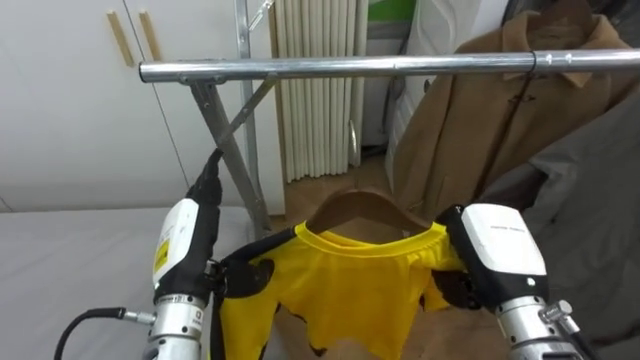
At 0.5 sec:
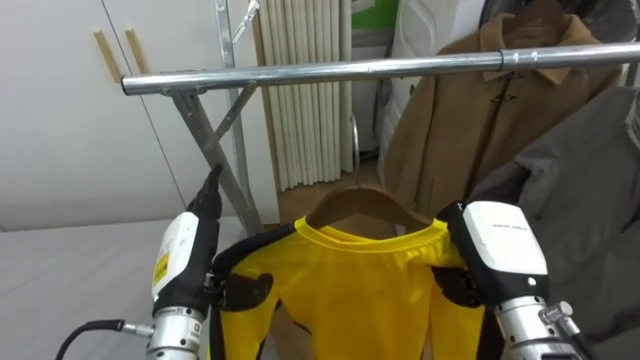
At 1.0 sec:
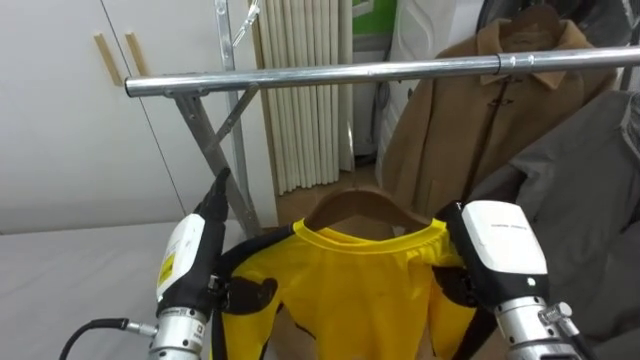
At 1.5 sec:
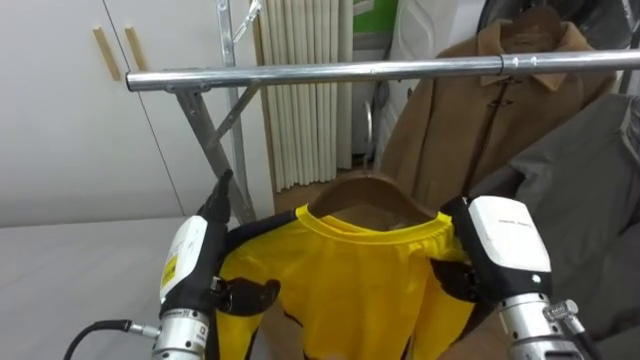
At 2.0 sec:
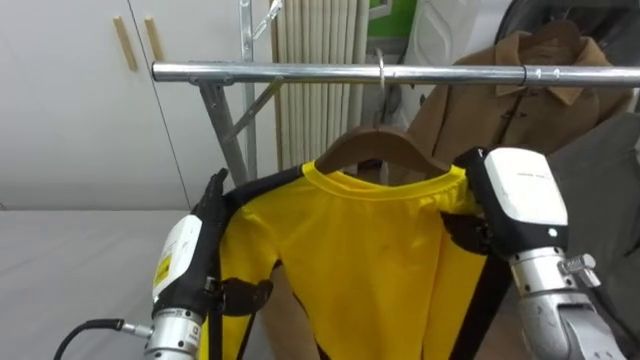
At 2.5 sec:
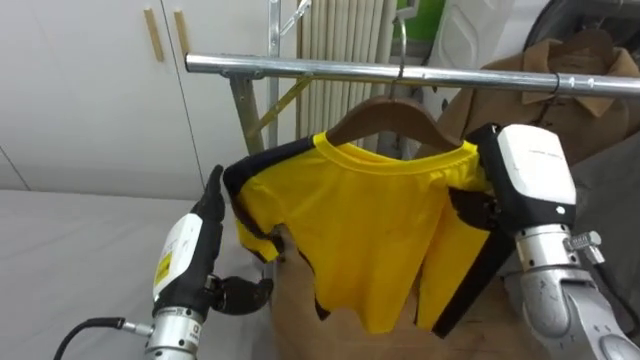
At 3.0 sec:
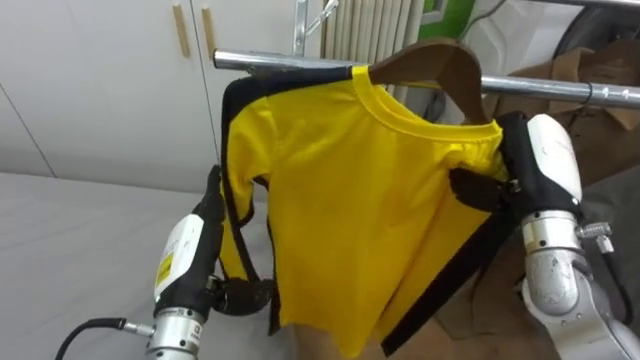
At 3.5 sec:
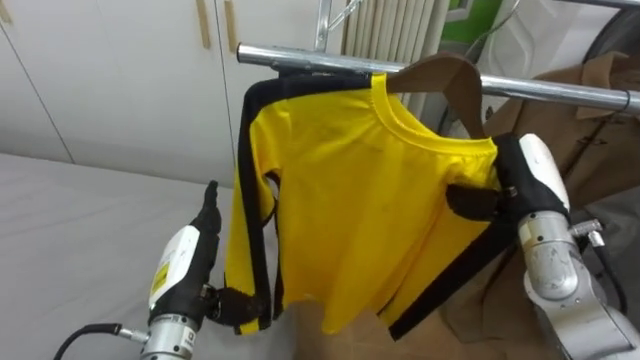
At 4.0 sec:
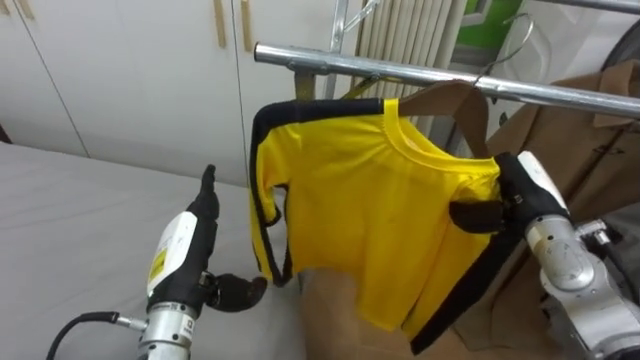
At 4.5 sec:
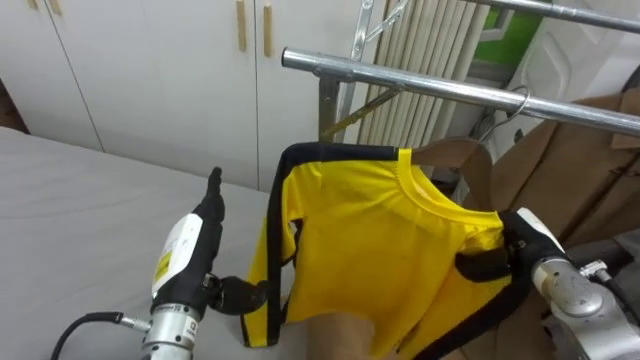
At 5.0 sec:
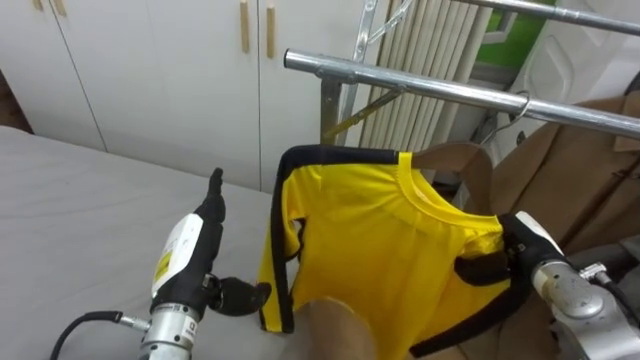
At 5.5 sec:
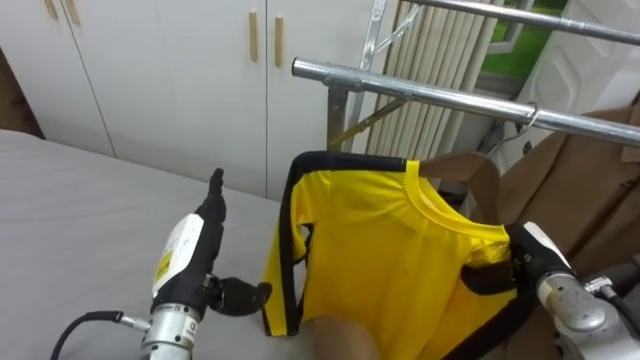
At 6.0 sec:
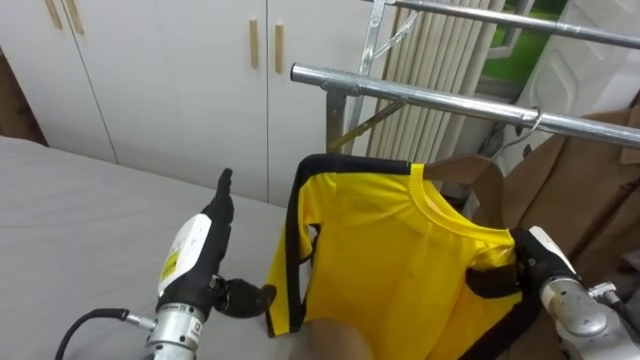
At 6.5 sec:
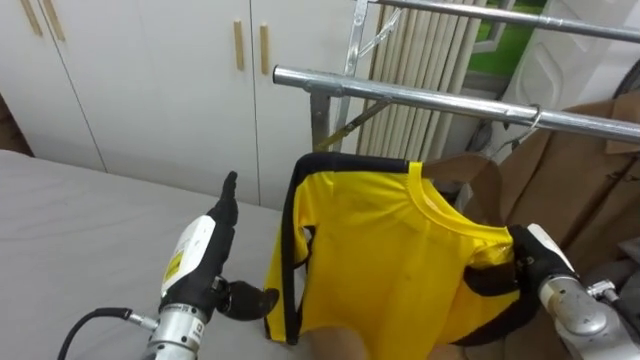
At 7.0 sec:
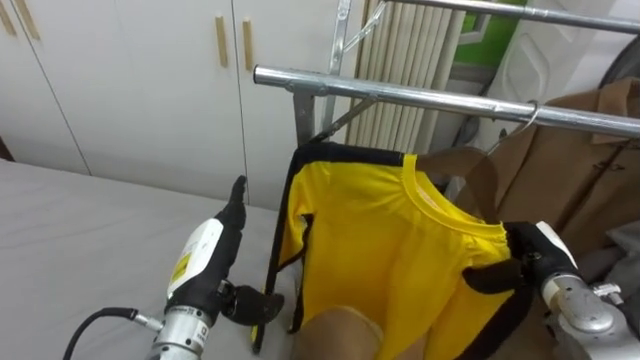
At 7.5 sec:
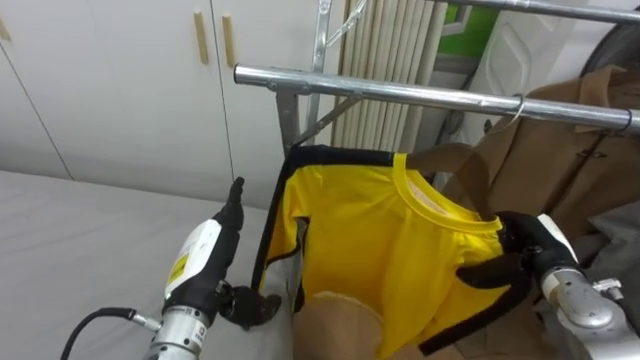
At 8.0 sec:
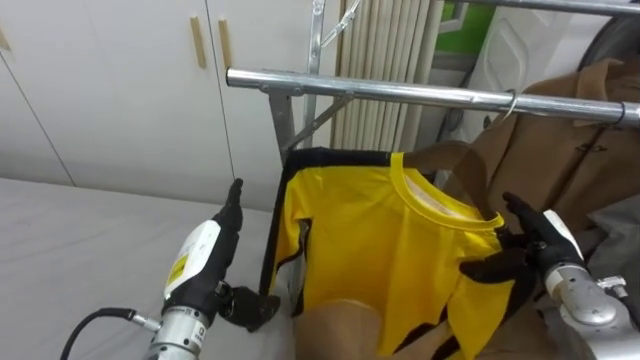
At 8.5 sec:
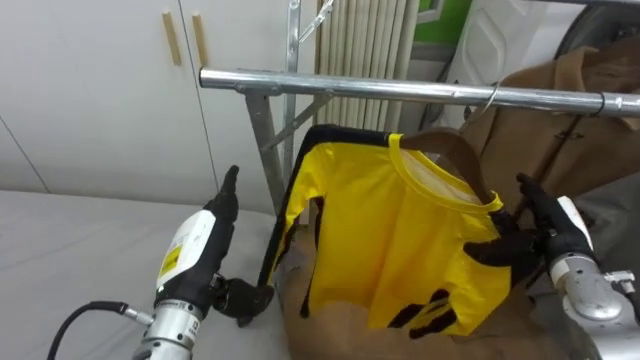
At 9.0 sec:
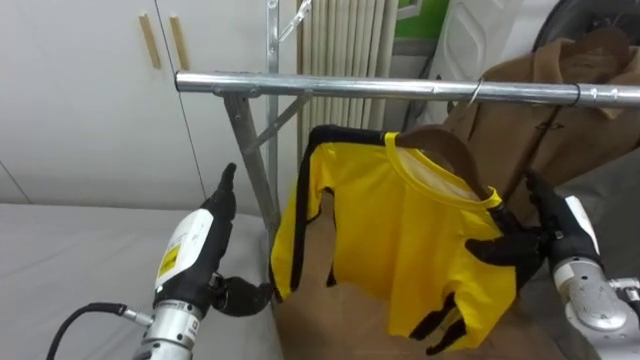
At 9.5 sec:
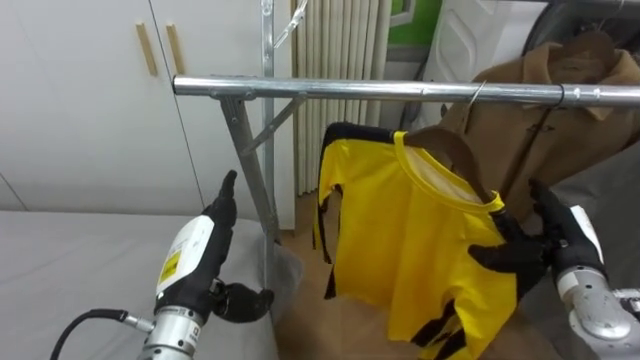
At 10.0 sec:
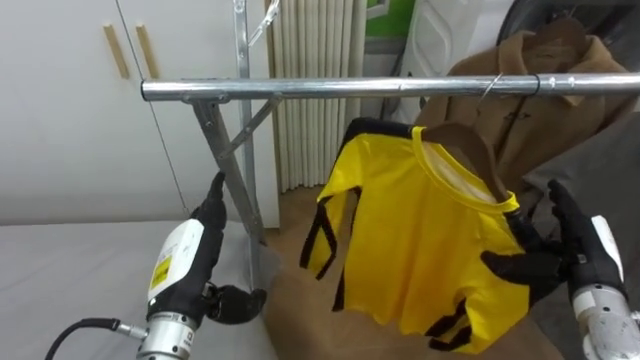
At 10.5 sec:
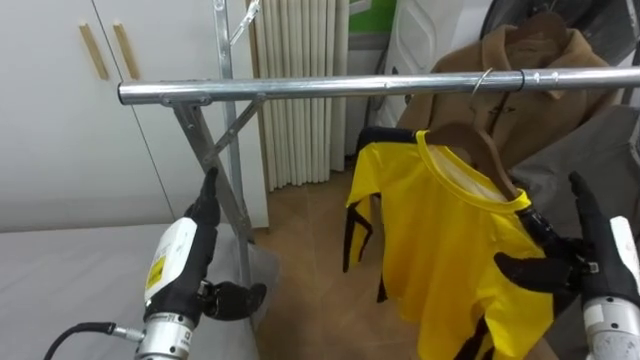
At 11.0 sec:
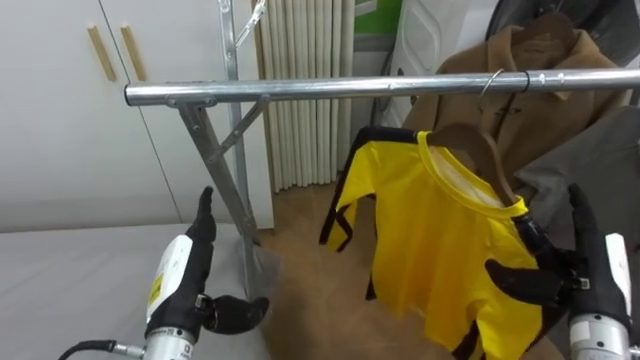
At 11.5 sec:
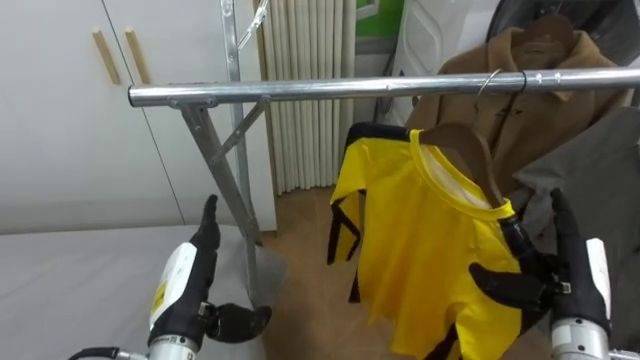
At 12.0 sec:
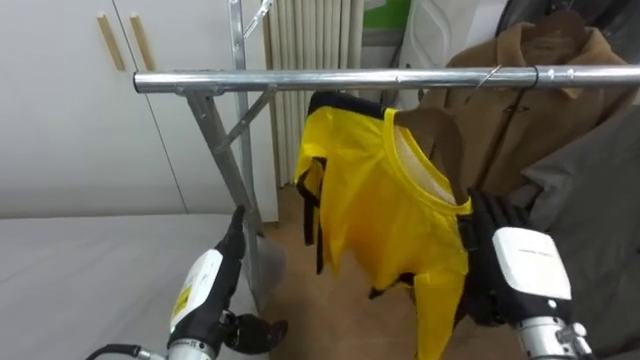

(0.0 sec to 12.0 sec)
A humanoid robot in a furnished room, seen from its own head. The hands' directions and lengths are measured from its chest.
Task of the whole recording: Pick up the yellow shirt on the bed and hang it on the clothes rack on the right.
0.0 sec - 2.0 sec: The right hand travels upward by roughly 5 cm.
2.0 sec - 4.0 sec: The right hand goes roughly 10 cm forward and downward.
4.0 sec - 6.0 sec: The right hand moves downward, approximately 10 cm.
6.0 sec - 8.0 sec: The right hand opens up.
8.0 sec - 10.0 sec: The right hand changes place by approximately 5 cm.
10.0 sec - 12.0 sec: The right hand is displaced to the left by some 10 cm.

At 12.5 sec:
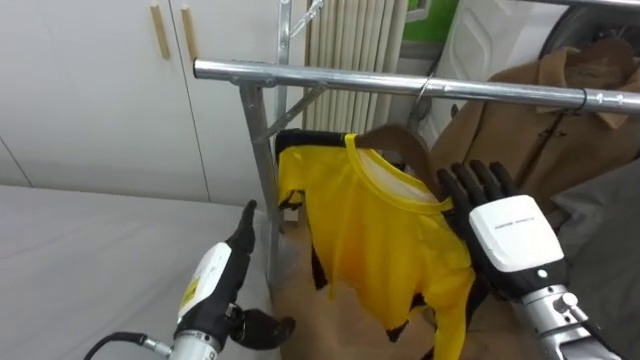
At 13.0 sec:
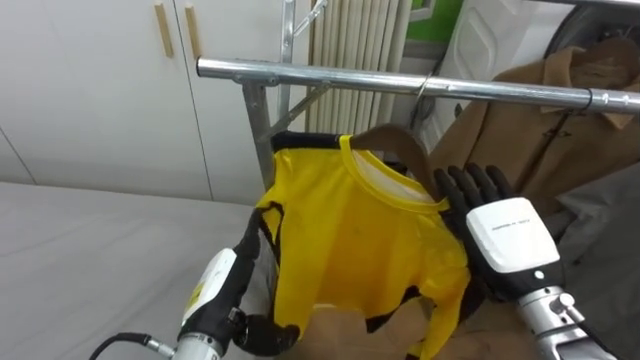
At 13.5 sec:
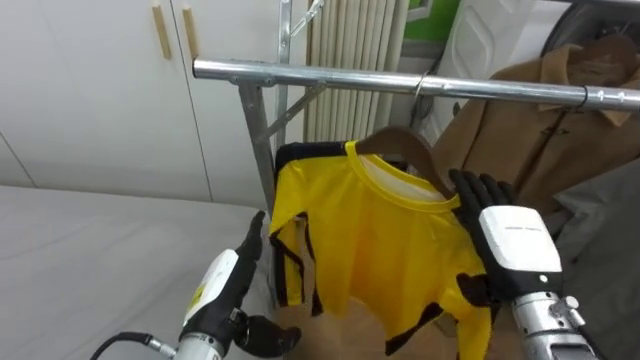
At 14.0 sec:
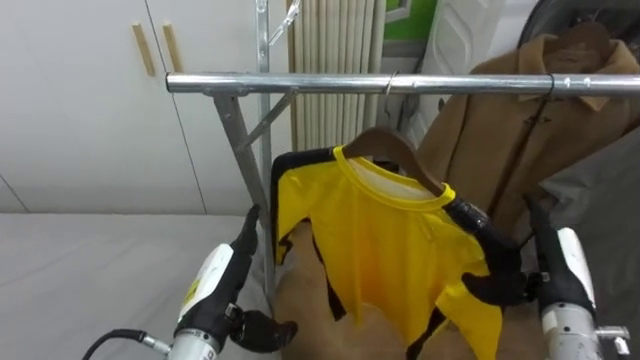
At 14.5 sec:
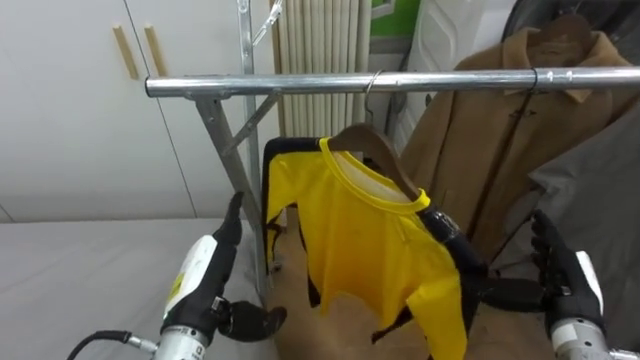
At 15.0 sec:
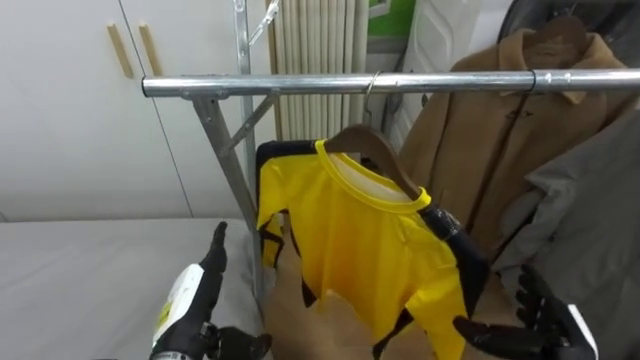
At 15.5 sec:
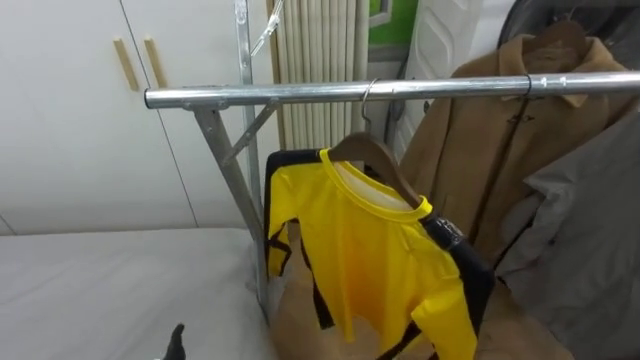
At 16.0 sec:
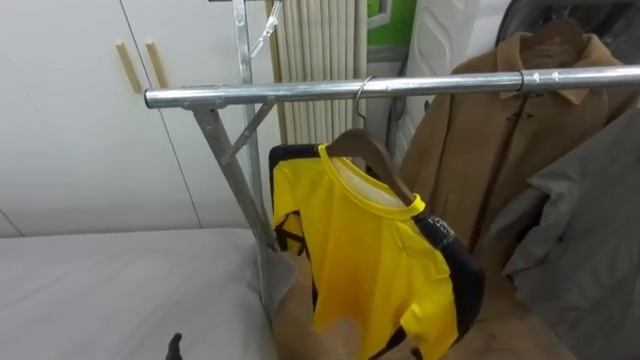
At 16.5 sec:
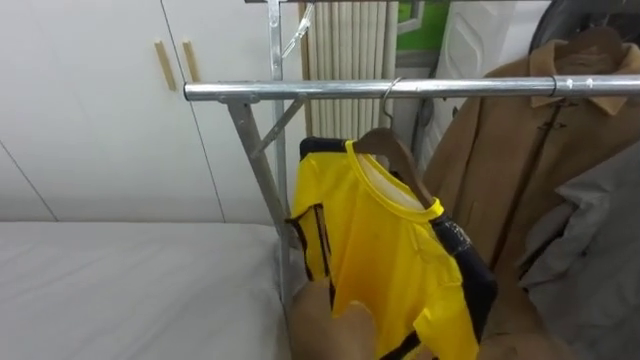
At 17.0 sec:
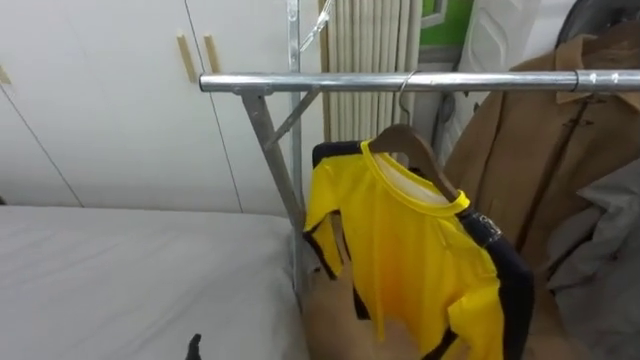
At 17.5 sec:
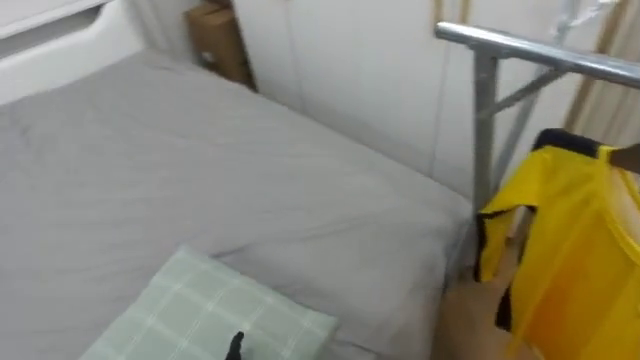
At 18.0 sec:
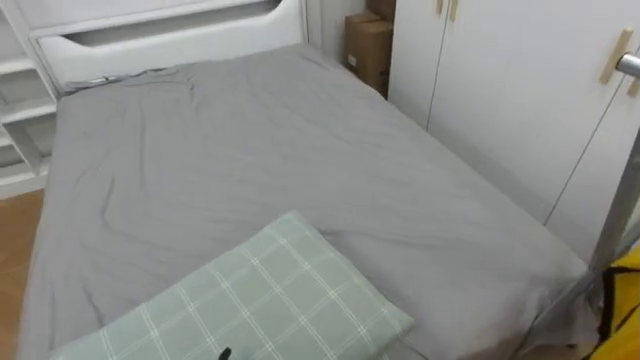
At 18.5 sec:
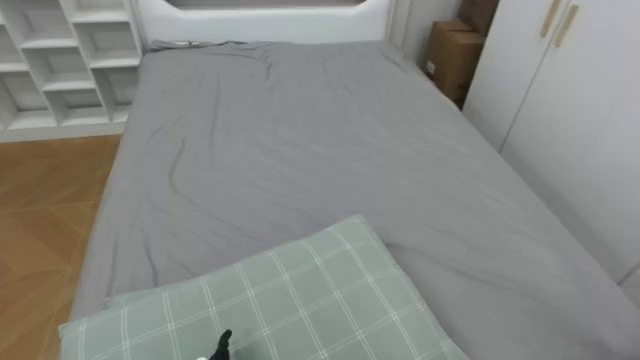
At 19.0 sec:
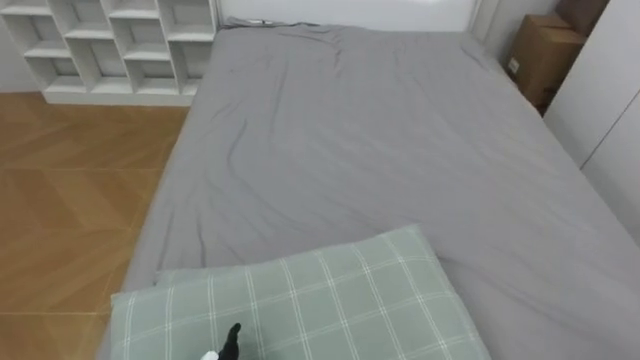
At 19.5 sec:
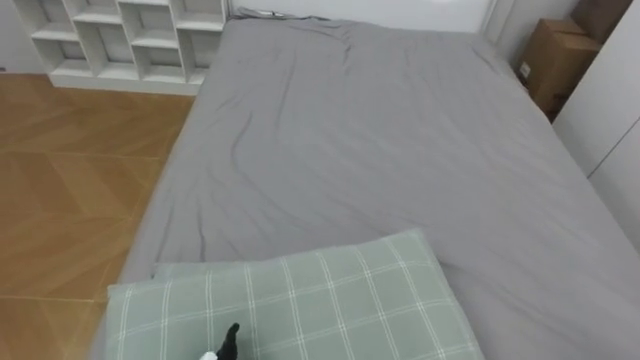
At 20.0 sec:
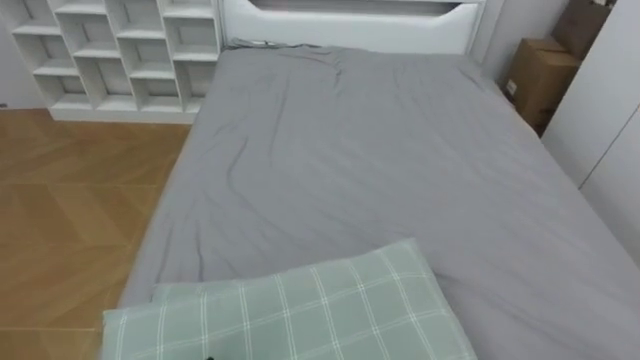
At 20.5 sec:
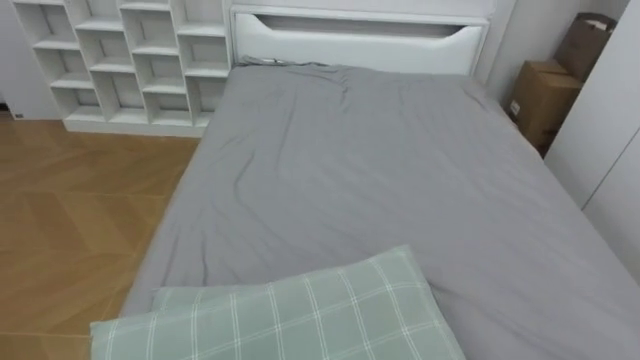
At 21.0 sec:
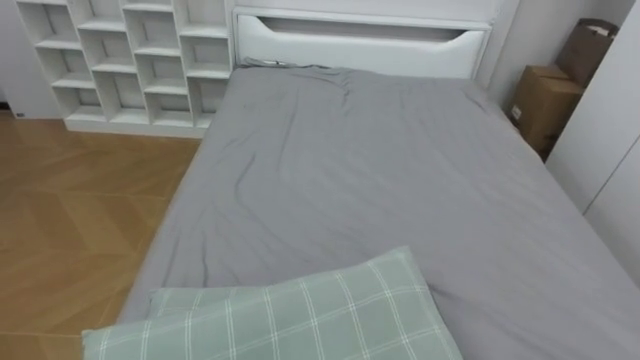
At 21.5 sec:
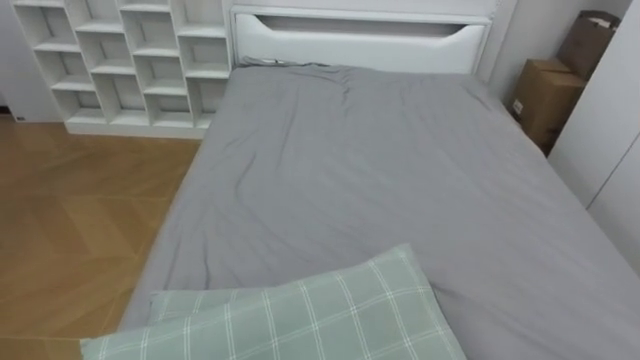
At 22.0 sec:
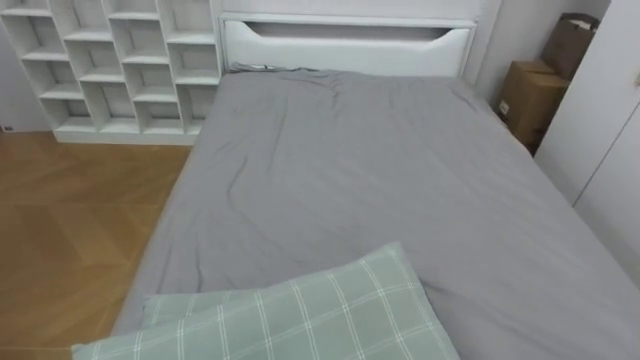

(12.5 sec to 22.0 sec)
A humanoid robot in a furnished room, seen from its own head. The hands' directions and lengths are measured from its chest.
Task of the whole recording: Pick up the yellow shirt on the bed and hang it on the clothes rack on the right.
12.5 sec - 14.5 sec: The right hand heads to the right and downward, covering about 10 cm.
16.5 sec - 18.0 sec: The robot's body swings approximately 60 degrees to its left.
18.0 sec - 20.0 sec: The robot rotates about 30 degrees to its left.
